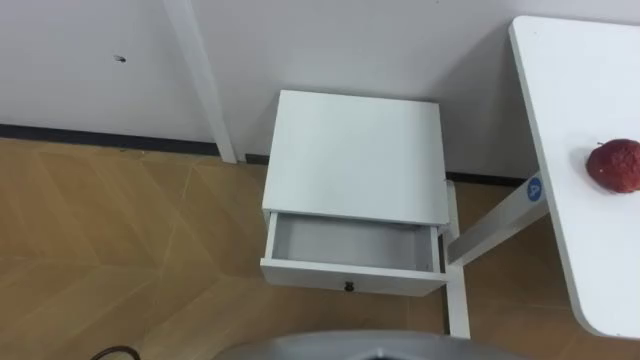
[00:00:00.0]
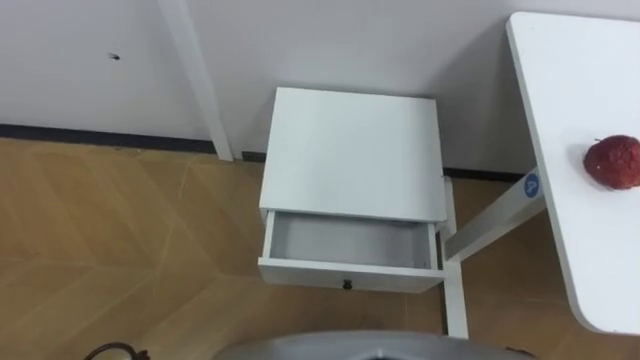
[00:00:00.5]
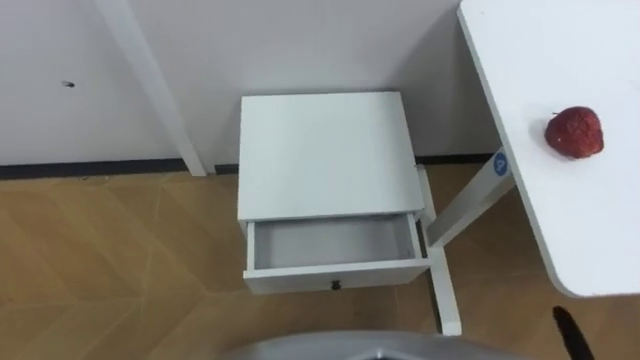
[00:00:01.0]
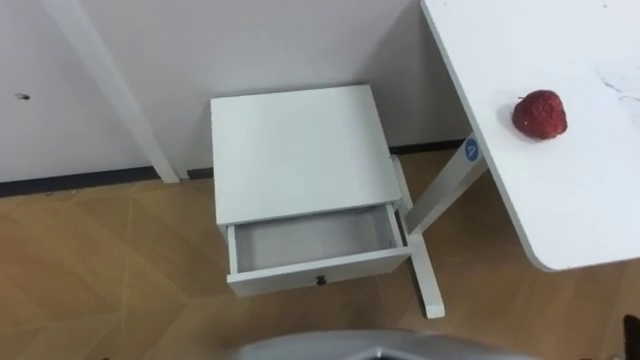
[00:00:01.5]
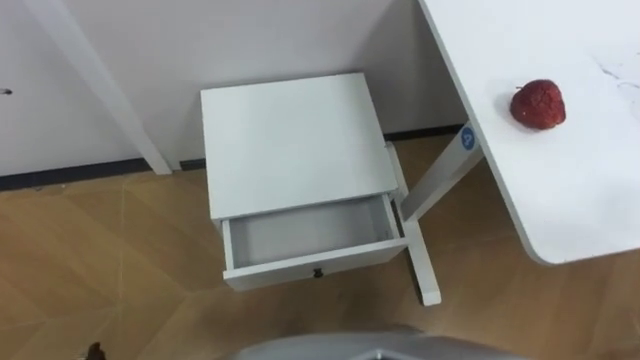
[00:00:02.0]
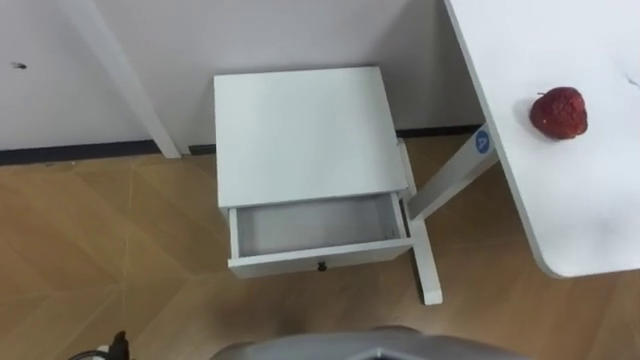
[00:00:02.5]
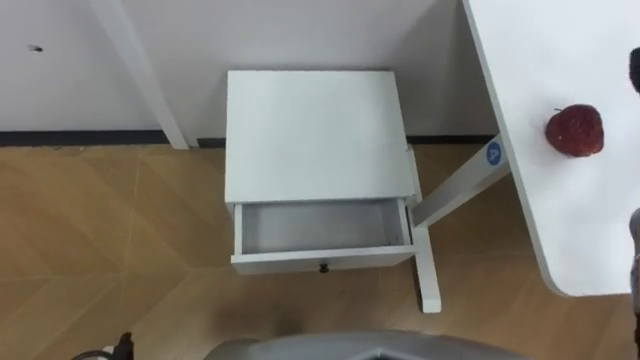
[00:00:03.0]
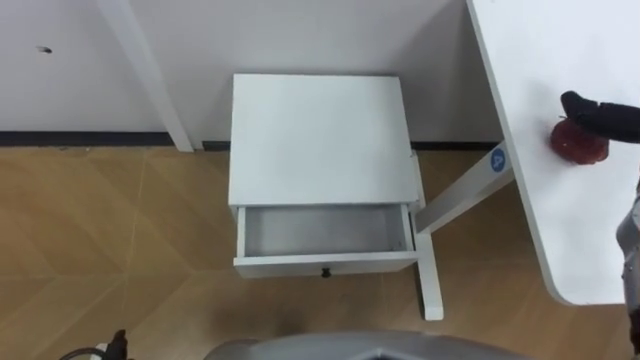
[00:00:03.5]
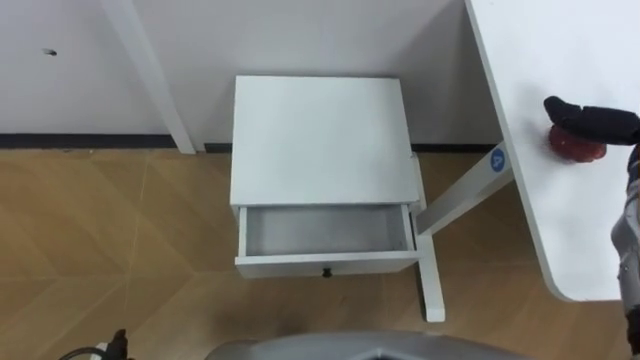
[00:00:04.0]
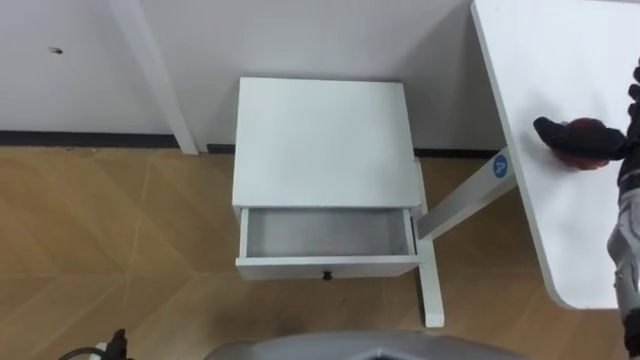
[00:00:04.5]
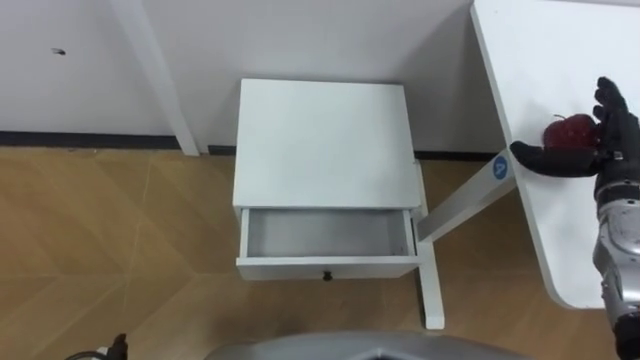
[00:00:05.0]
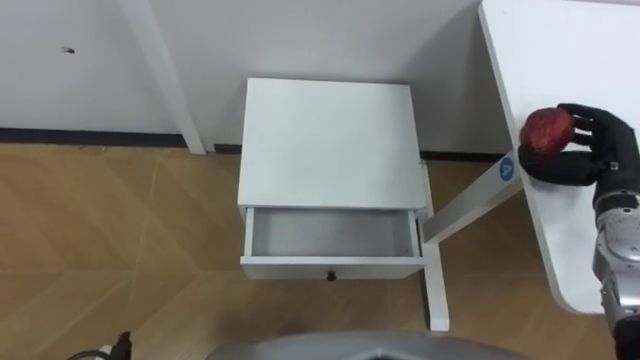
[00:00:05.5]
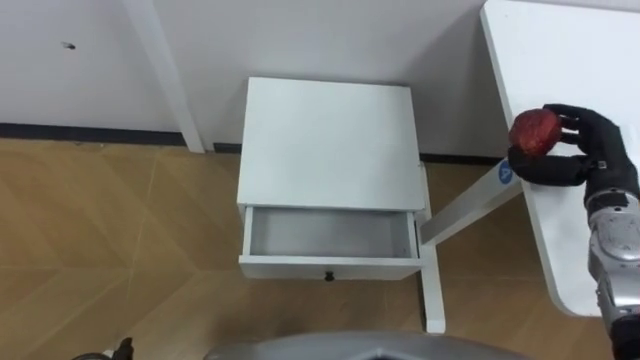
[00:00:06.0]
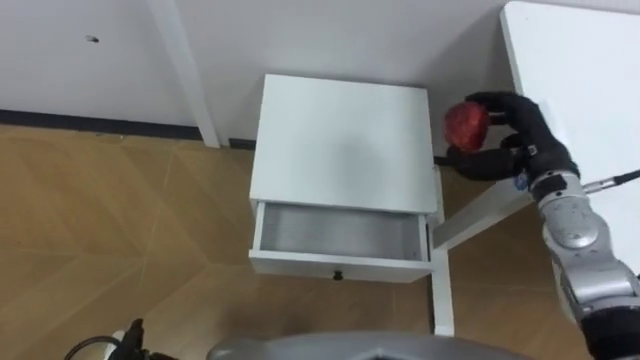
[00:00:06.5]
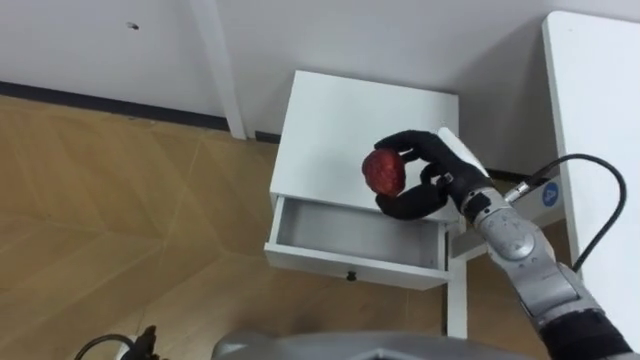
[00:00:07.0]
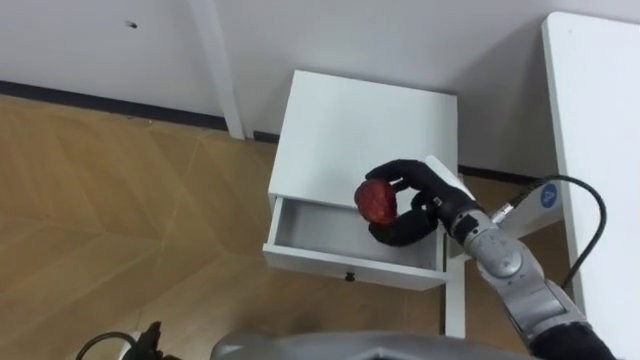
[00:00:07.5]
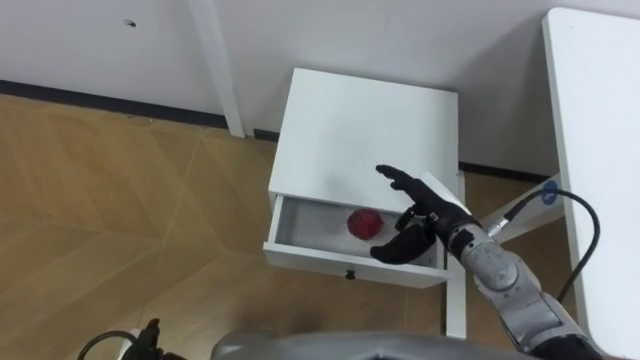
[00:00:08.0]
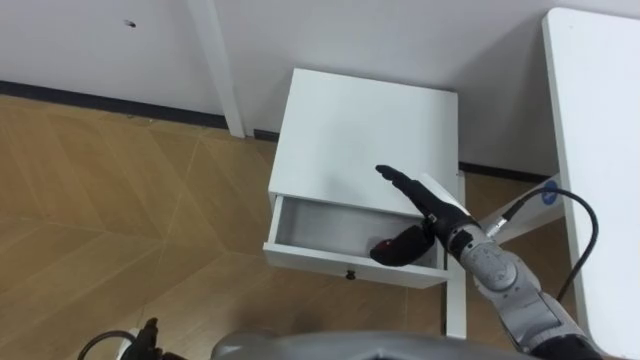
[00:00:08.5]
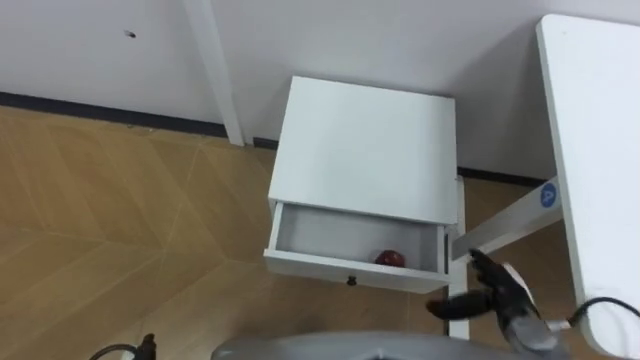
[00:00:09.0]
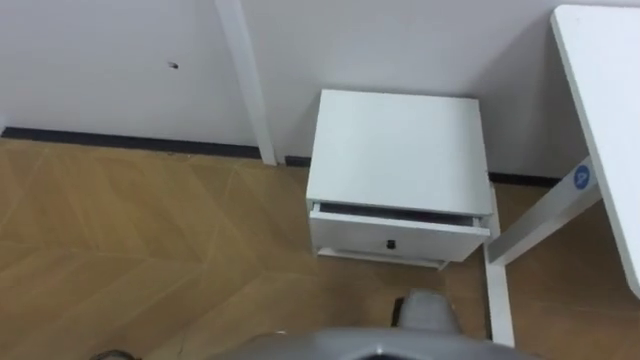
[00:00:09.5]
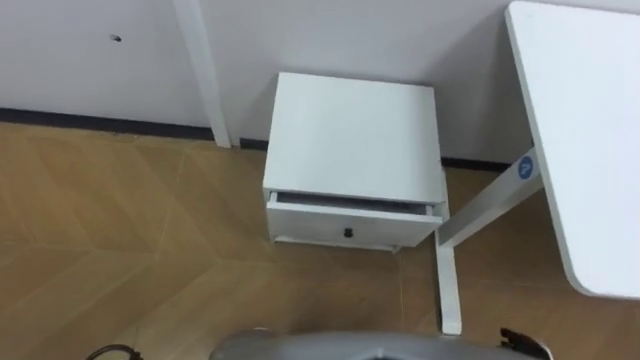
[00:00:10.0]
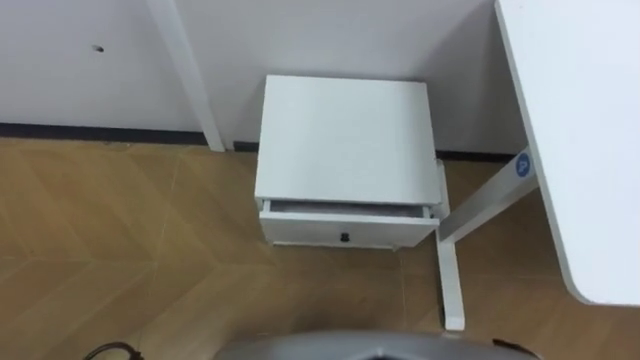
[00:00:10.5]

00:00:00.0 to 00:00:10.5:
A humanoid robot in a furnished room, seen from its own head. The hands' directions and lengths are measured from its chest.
Task of the whole recording: Pick up the apple from the table, put it in the drawer, and close the drawer with leg.
00:00:06.5 to 00:00:08.5: The right hand shifts about 15 cm to the left, downward and backward, and opens.

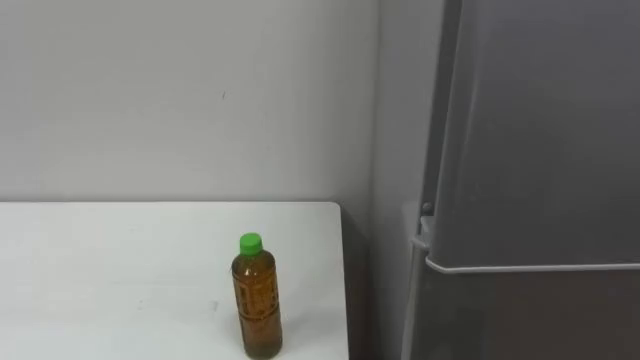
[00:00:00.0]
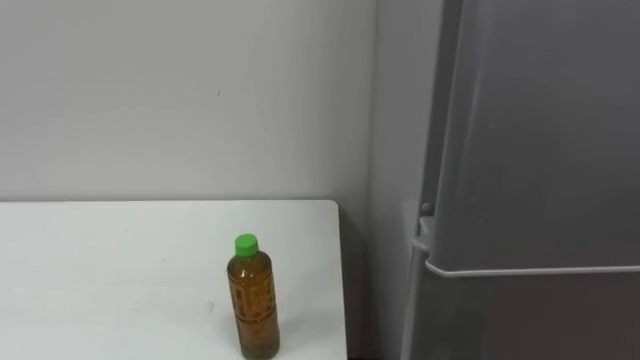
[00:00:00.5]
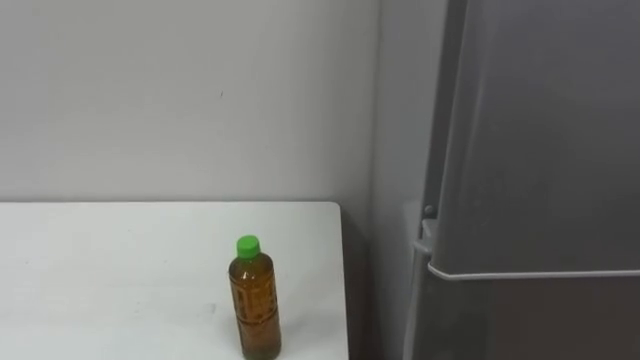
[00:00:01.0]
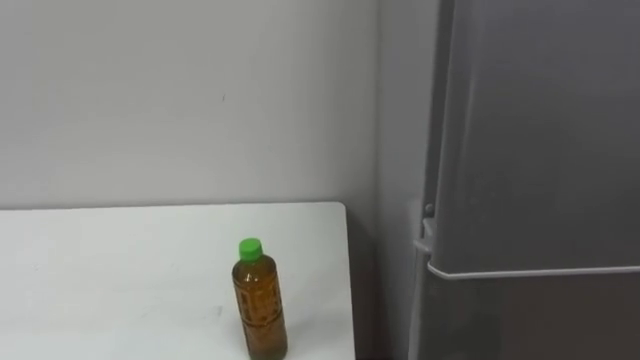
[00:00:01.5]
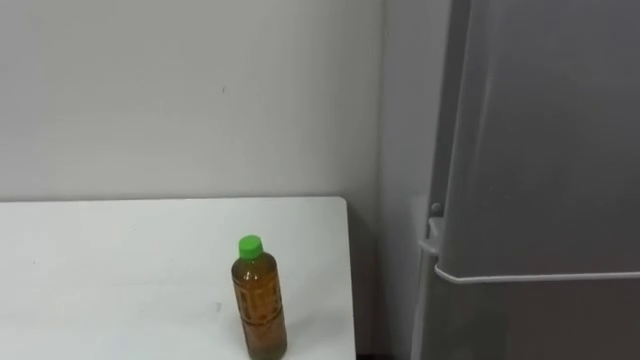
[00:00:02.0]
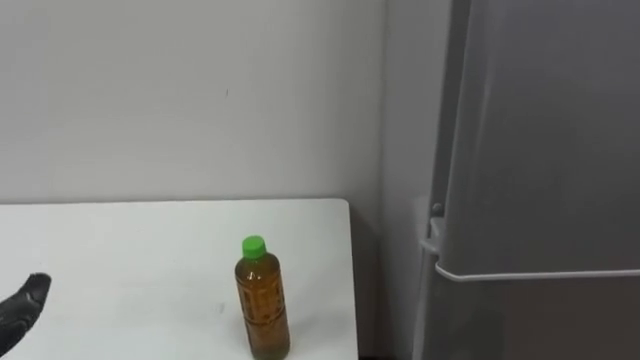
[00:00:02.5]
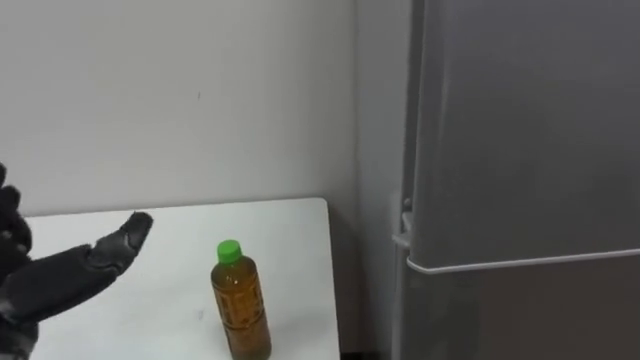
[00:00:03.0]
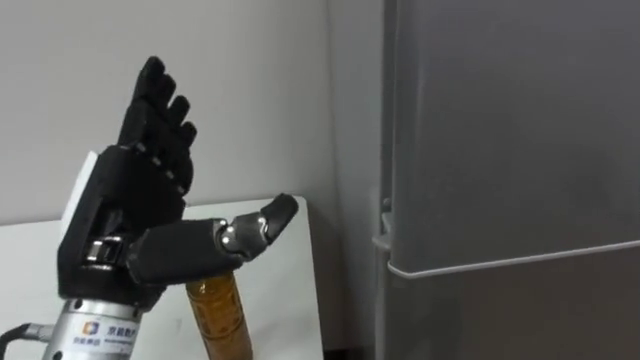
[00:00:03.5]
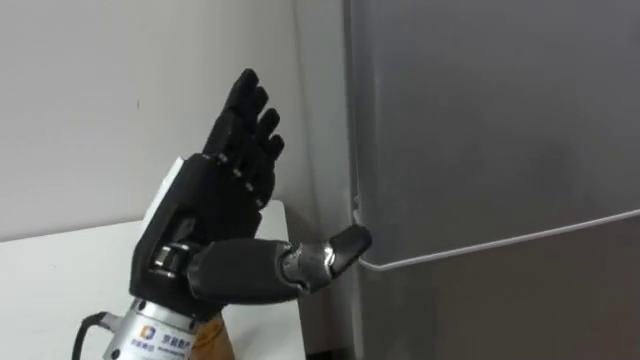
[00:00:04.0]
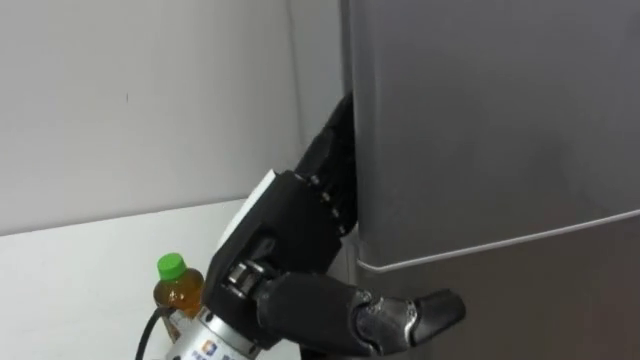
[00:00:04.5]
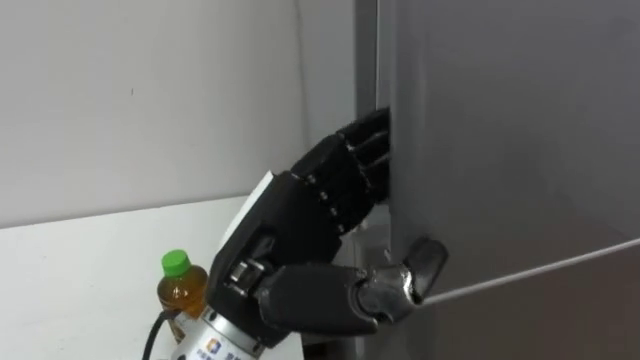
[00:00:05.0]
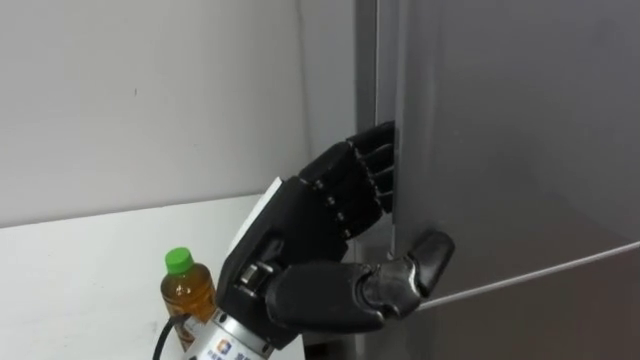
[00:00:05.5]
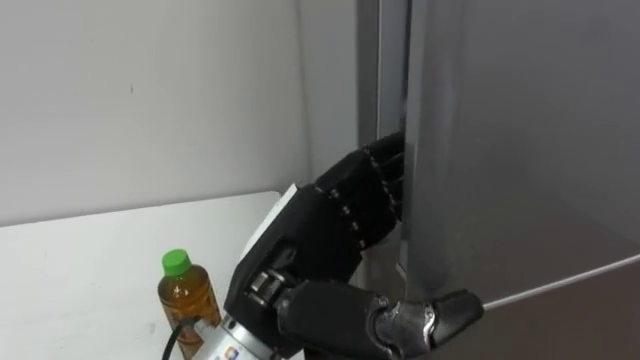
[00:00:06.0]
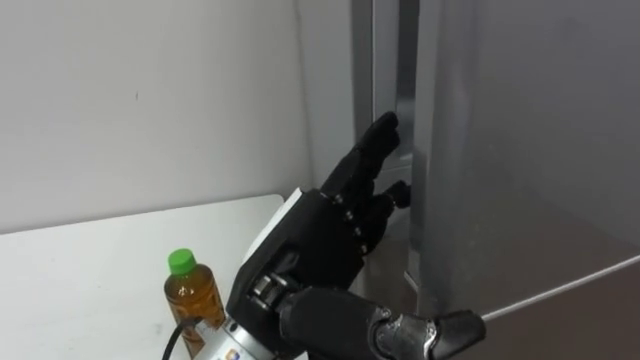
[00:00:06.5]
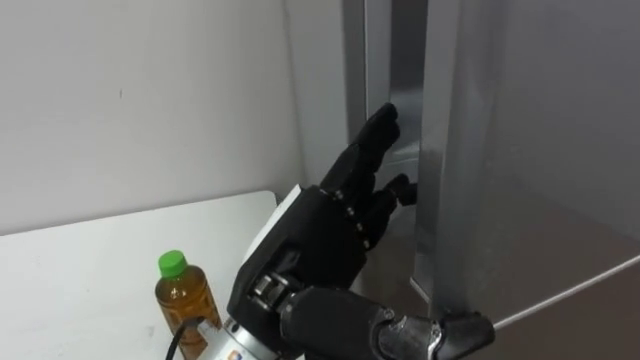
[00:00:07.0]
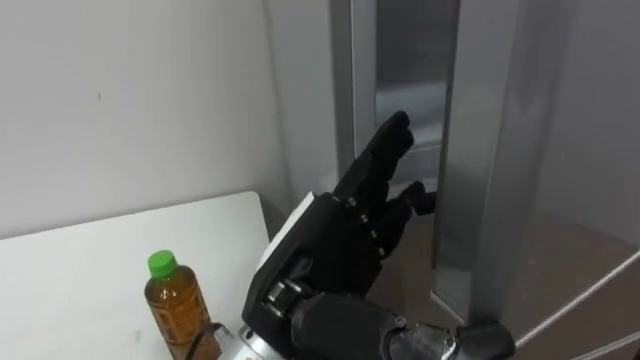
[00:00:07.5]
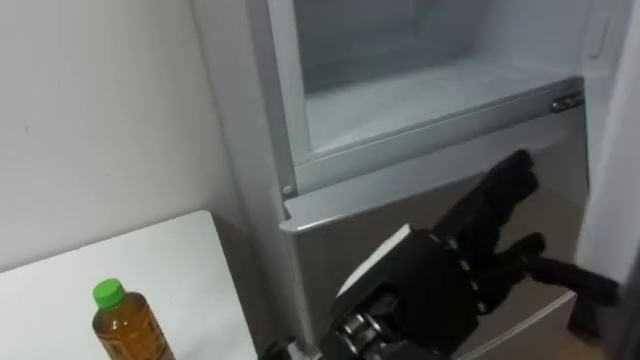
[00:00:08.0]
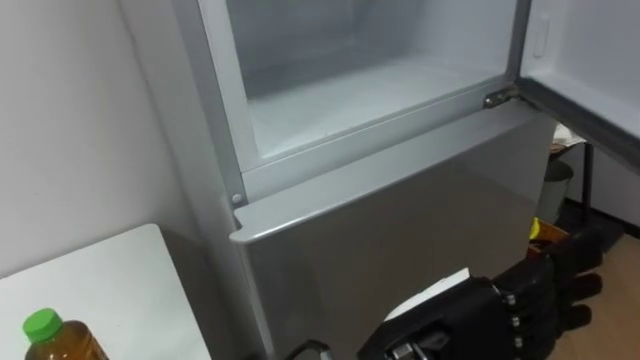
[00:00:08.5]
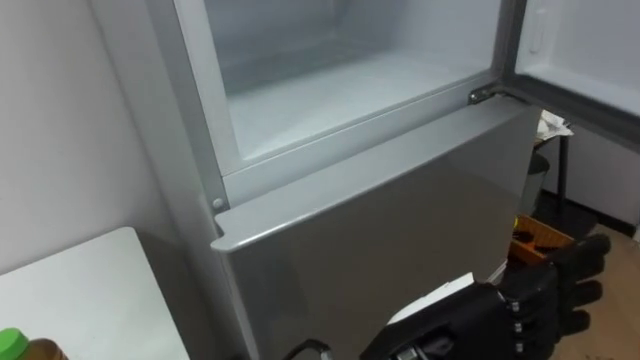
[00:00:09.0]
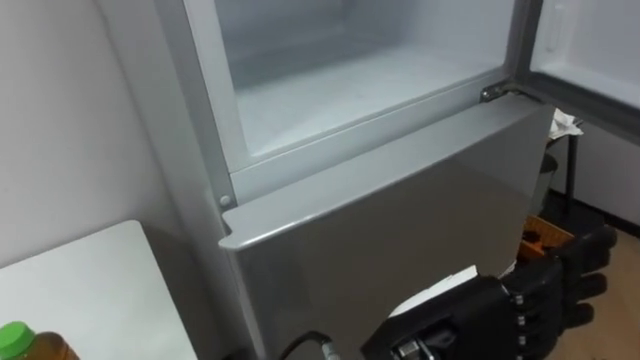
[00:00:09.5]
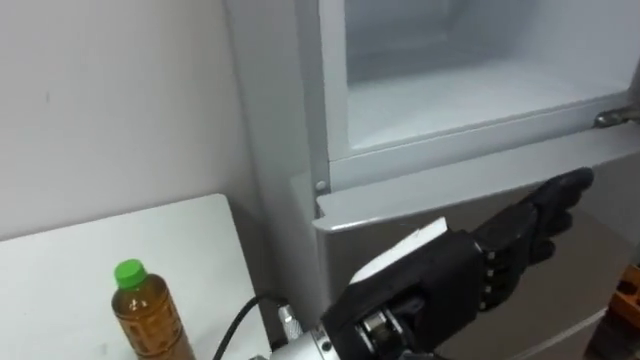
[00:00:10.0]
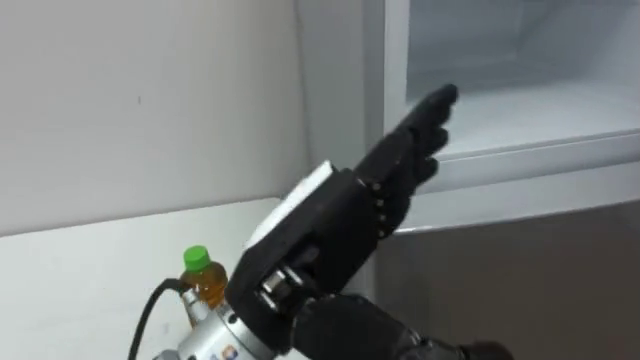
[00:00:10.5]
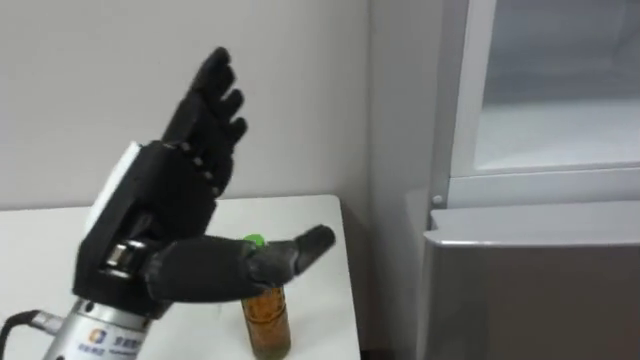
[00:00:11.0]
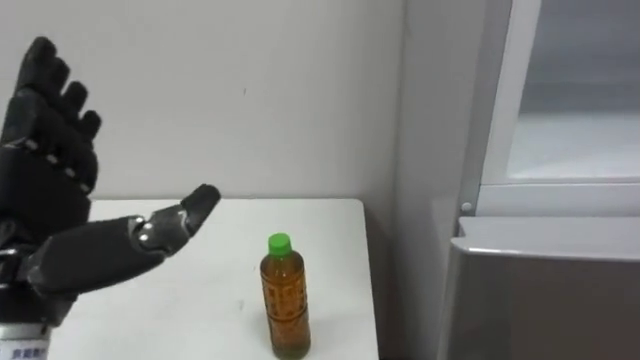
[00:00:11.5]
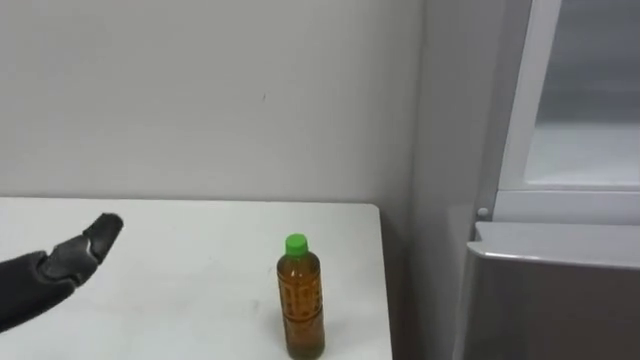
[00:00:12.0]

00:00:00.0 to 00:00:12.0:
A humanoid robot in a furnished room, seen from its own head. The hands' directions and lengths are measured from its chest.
Task of the whole recording: Open the upper refrigerator door, put the drink from the table into the refrigerator, and then close the refrigerator door.
00:00:04.0 to 00:00:06.0: The left hand travels to the right by roughly 10 cm.
00:00:06.0 to 00:00:08.0: The left hand is displaced to the right by roughly 5 cm.
